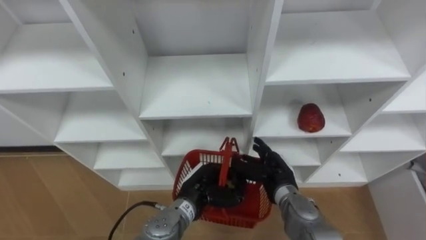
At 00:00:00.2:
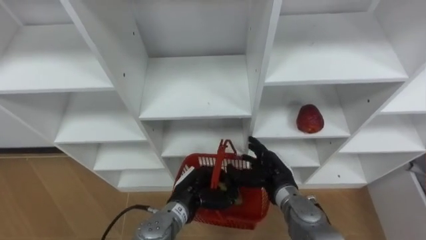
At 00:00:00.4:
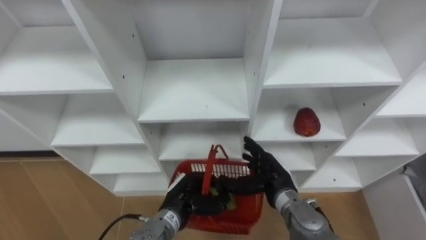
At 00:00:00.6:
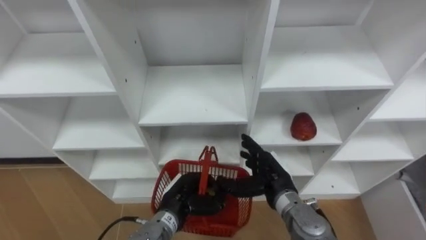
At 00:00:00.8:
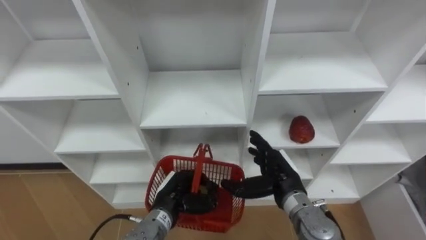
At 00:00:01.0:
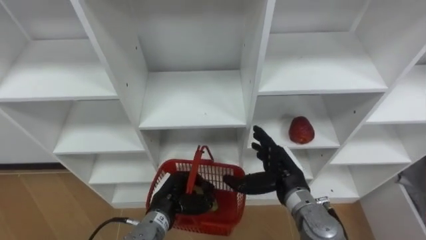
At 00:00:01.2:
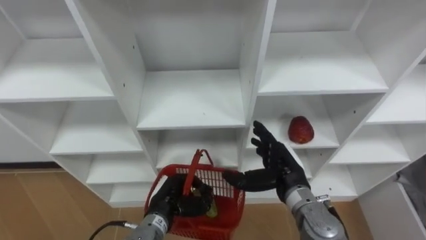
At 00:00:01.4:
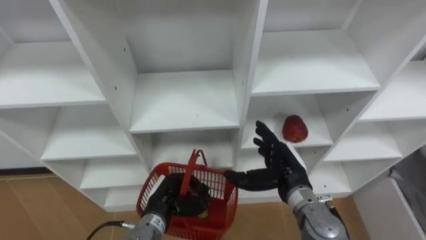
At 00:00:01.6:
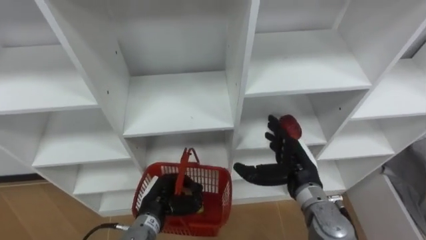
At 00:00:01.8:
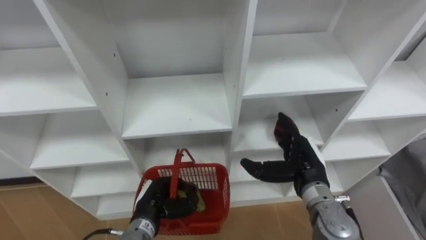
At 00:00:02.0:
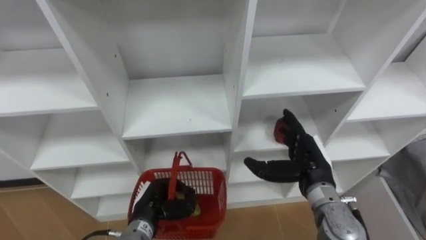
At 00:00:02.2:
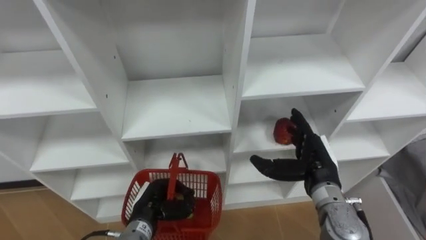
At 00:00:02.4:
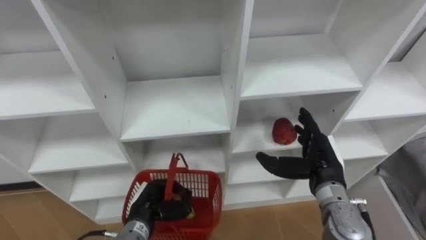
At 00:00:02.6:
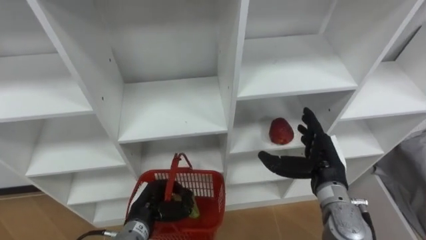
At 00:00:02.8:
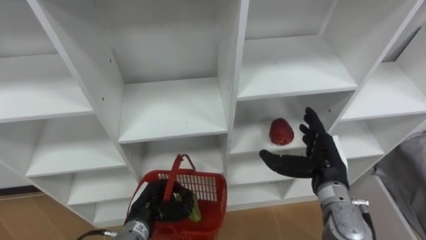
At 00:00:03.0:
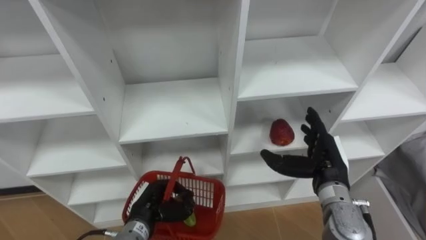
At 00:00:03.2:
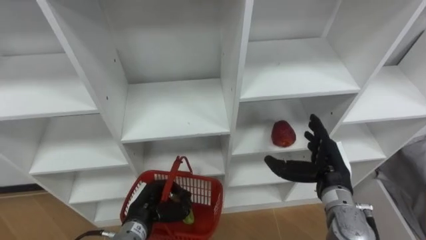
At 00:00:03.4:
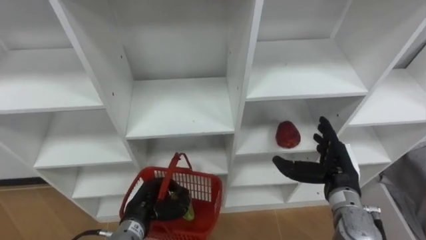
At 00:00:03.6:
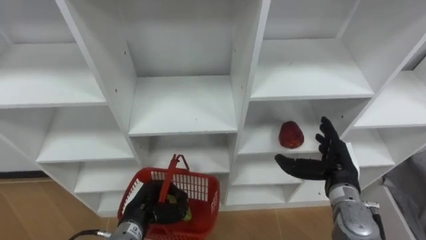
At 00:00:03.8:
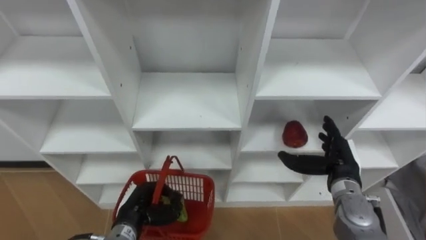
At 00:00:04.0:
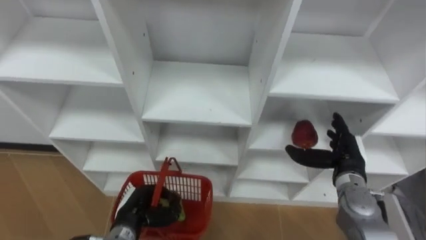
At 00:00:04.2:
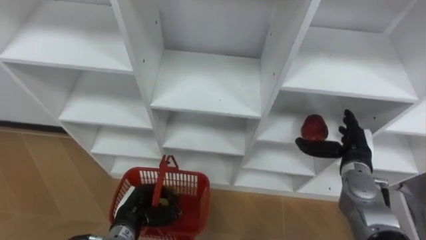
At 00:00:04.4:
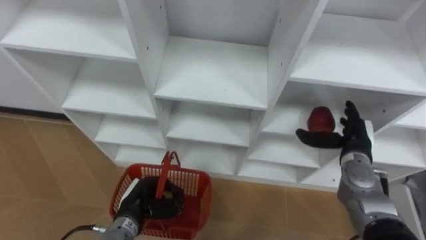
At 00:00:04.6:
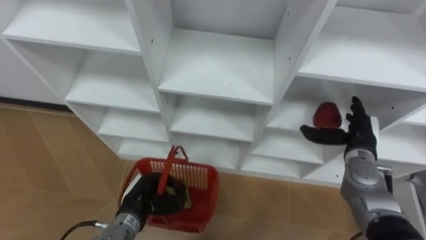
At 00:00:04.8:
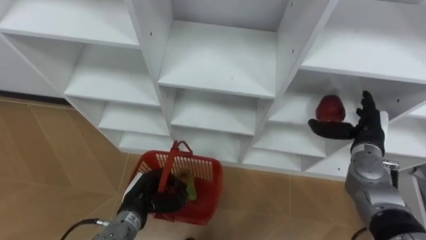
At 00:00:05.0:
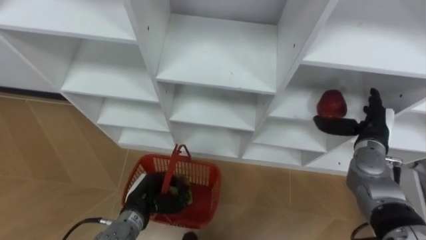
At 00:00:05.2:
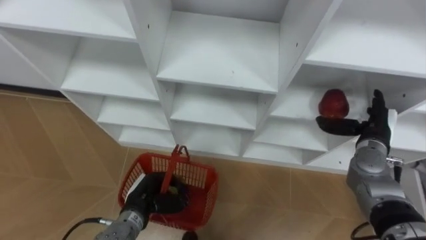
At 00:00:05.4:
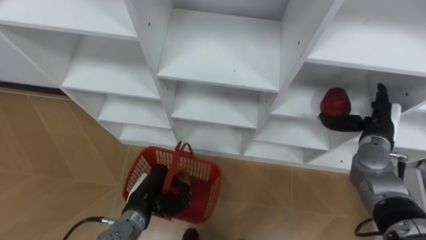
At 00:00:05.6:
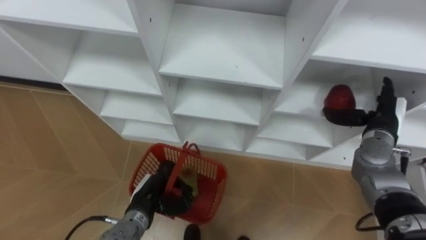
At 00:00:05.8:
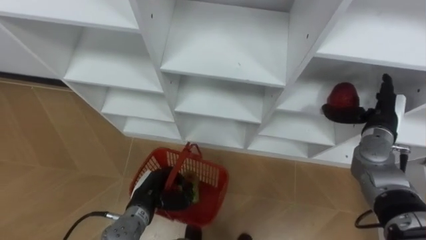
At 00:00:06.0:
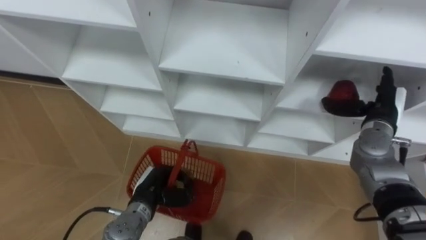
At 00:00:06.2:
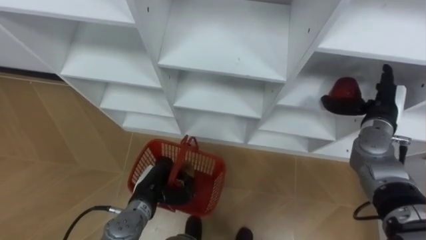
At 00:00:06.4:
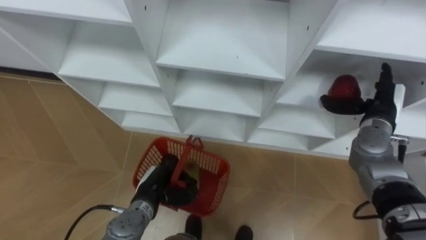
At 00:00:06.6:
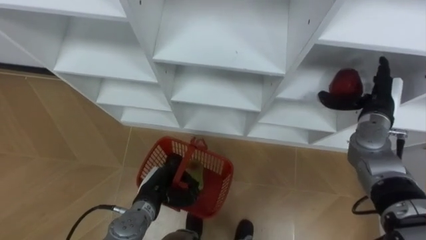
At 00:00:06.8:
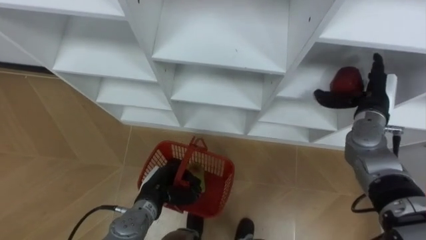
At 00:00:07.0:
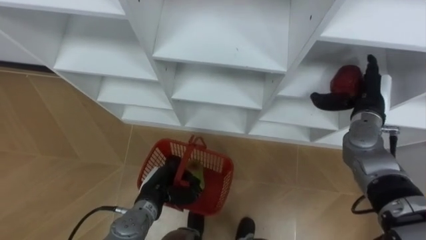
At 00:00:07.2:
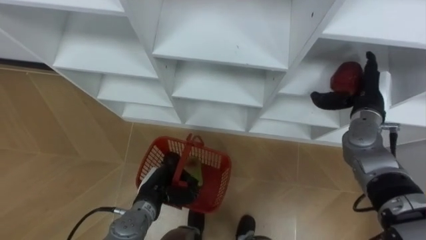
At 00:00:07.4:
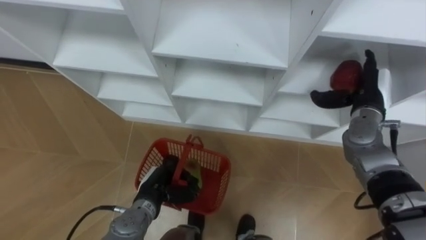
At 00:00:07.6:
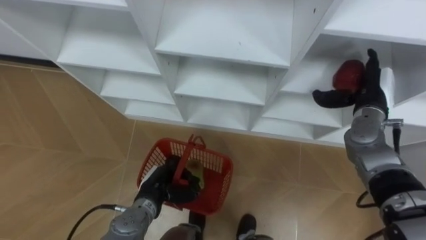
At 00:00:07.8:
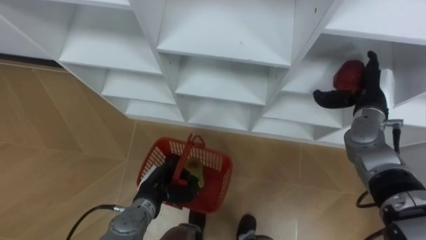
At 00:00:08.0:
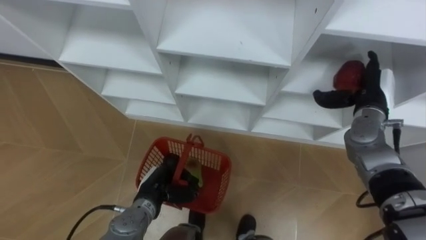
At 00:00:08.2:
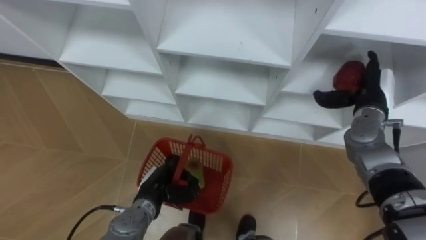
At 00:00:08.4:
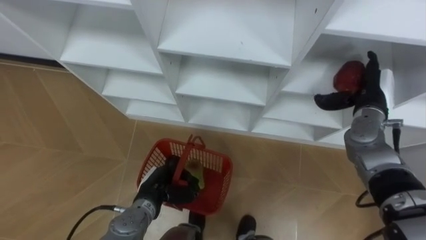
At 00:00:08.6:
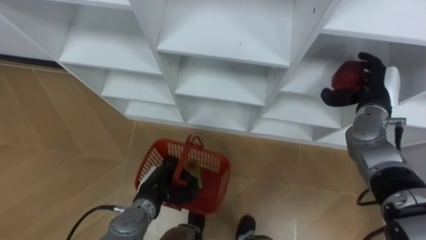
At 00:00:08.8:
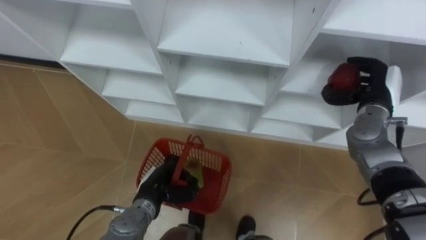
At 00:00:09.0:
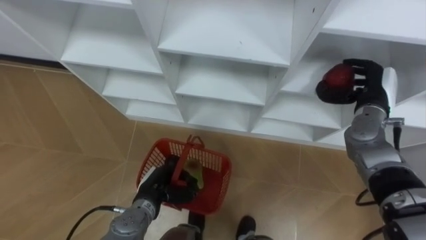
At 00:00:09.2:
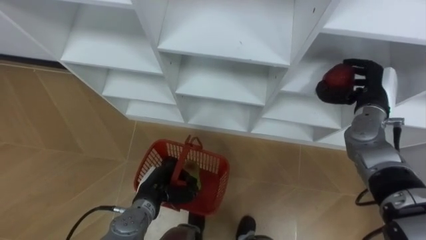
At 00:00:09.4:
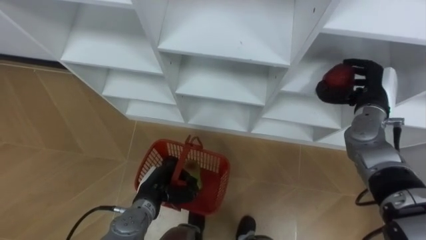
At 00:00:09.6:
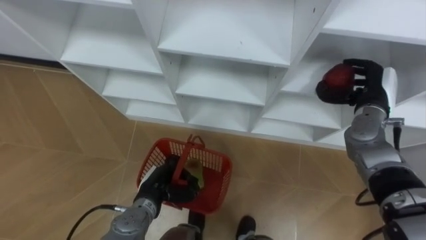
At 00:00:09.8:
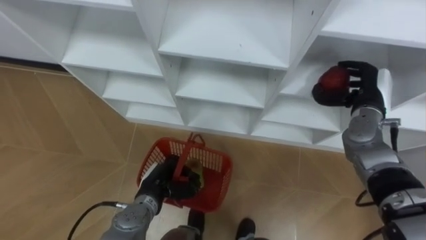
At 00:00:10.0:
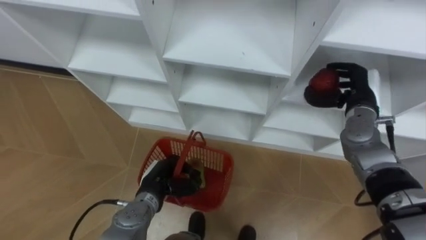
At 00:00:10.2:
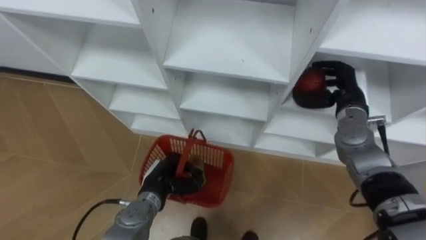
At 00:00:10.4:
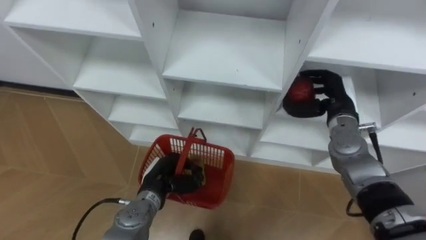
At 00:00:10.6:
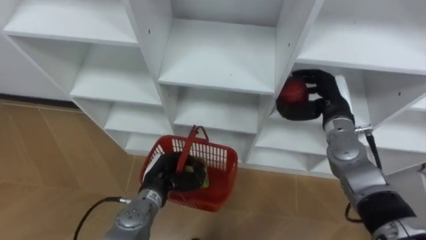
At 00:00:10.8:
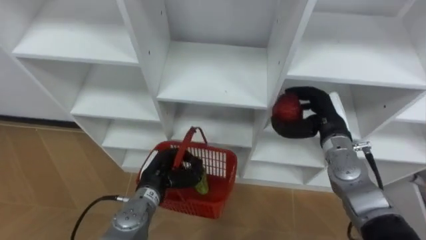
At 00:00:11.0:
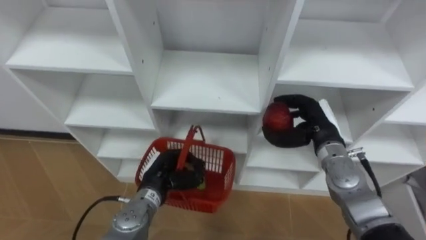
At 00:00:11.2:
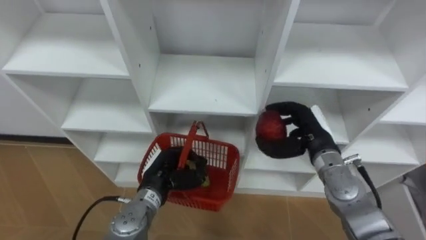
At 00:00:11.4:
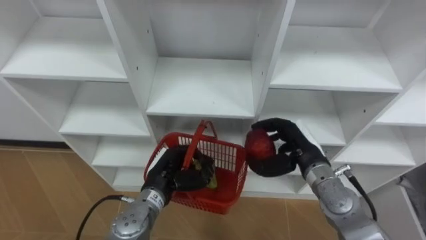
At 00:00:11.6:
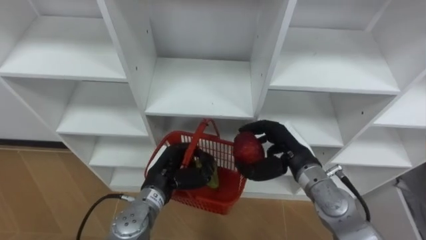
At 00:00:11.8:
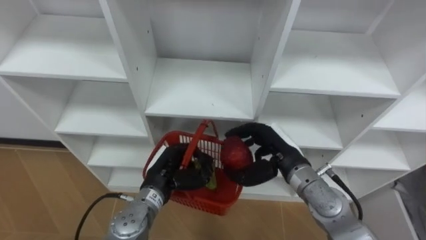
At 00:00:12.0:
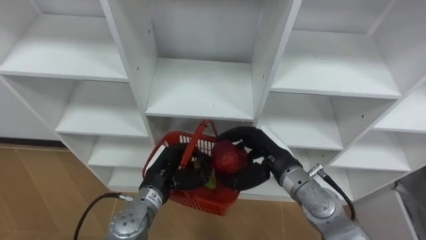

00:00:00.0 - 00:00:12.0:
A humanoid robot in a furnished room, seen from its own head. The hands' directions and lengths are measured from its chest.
Task of the whole recording: Hold the basket and collect the fruits from 3 different cells of the closet into it.
00:00:00.0 - 00:00:01.6: The right hand moves upward, about 5 cm, while the left hand moves to the left, approximately 10 cm.
00:00:01.6 - 00:00:03.0: The right hand is displaced to the right by about 5 cm.
00:00:03.0 - 00:00:04.4: The right hand is displaced to the right and forward by roughly 10 cm.
00:00:04.4 - 00:00:06.0: The right hand goes about 5 cm upward.
00:00:07.6 - 00:00:09.0: The right hand closes up.
00:00:09.0 - 00:00:10.4: The right hand is displaced to the left by approximately 5 cm.
00:00:10.4 - 00:00:12.0: The right hand heads to the left and backward, covering roughly 15 cm.

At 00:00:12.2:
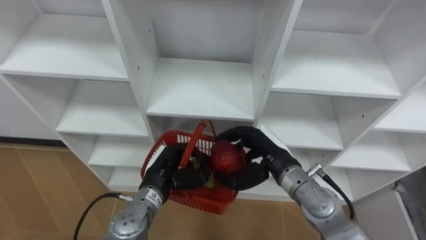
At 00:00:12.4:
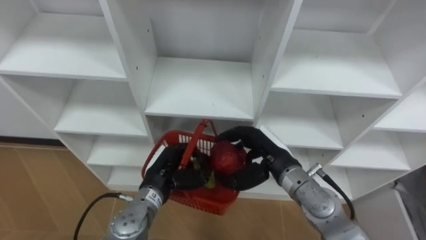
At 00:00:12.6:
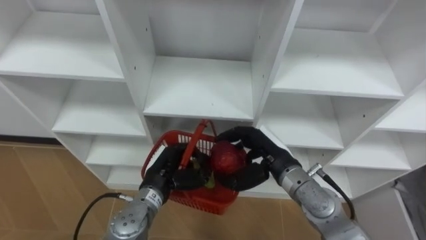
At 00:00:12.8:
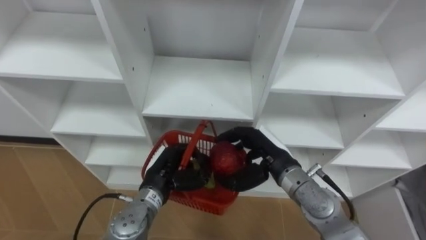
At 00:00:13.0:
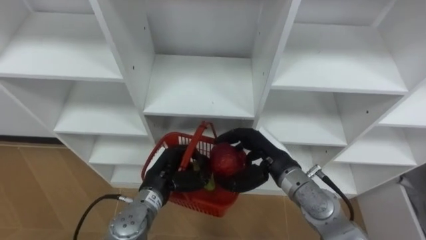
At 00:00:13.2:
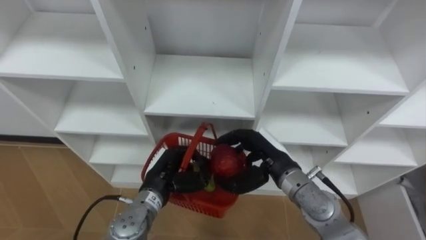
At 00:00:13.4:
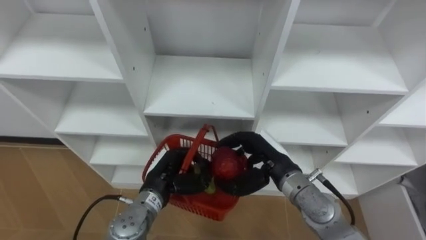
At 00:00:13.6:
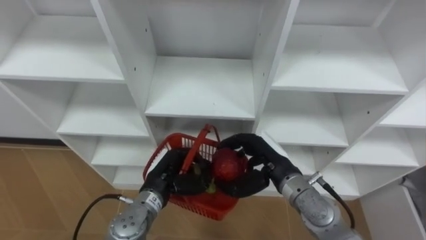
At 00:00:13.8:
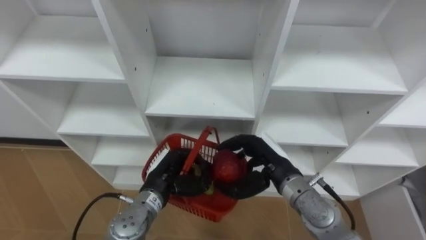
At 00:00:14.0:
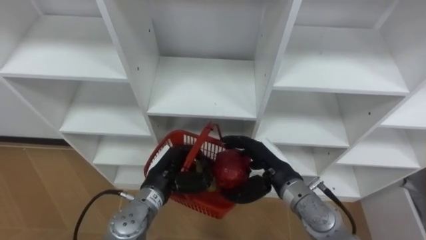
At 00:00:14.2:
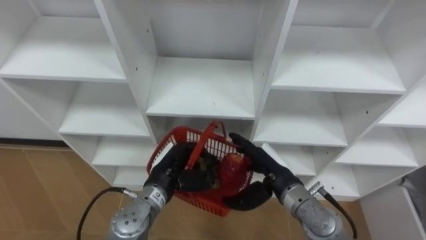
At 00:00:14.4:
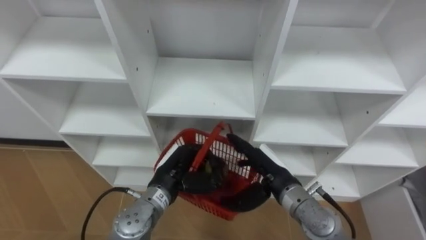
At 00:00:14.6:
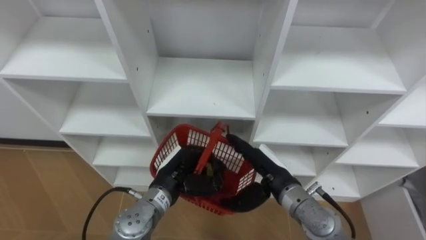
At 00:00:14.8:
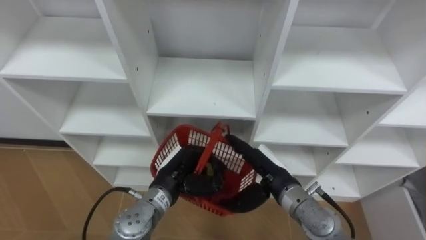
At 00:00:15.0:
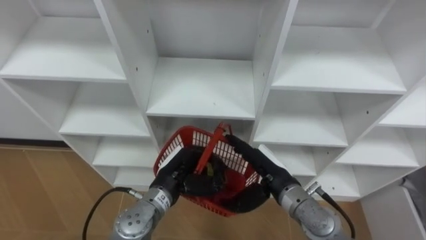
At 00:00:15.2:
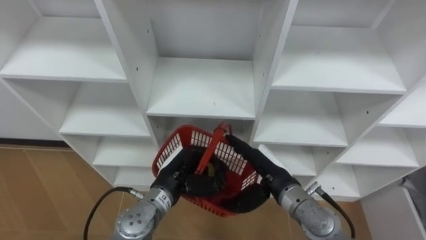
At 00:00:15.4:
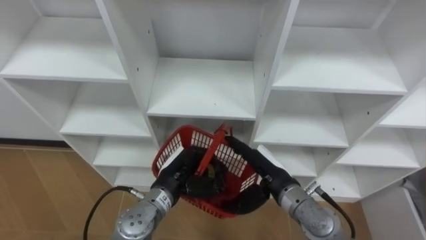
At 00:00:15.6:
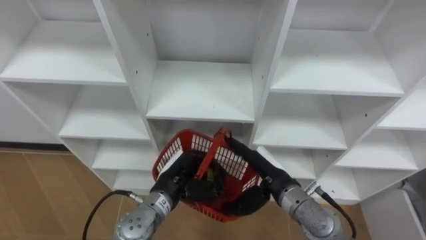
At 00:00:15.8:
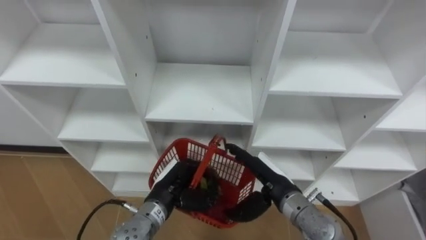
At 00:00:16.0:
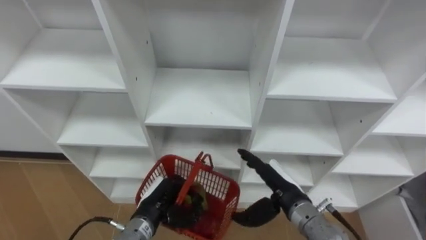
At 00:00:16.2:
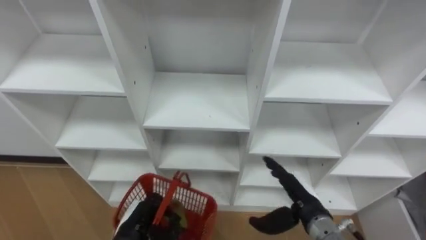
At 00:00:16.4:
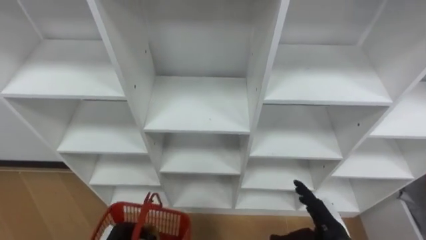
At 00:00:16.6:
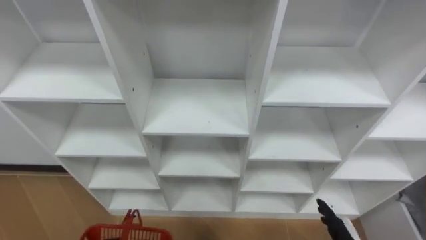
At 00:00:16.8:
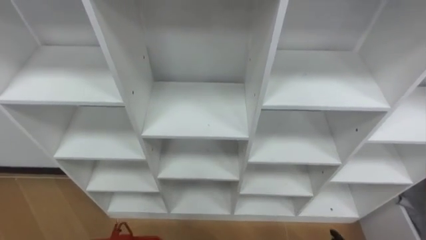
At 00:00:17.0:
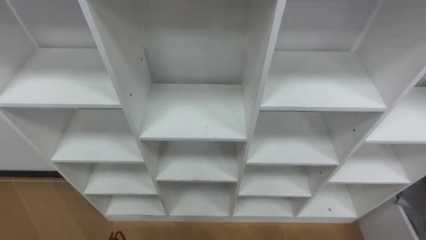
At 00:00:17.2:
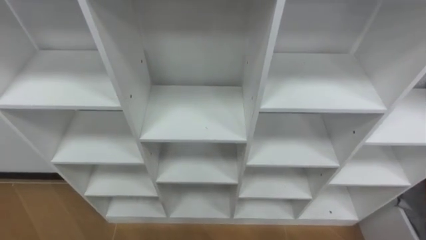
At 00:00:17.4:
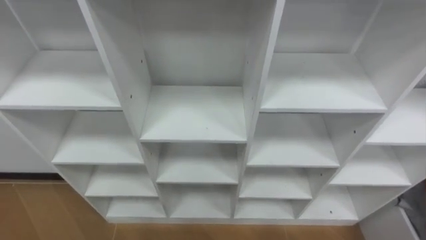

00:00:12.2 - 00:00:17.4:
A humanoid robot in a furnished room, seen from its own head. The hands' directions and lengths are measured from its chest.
Task of the whole recording: Hold the basket and collect the fruits from 3 different cells of the closet into it.
00:00:12.2 - 00:00:14.0: There are only small adjustments of the hands.
